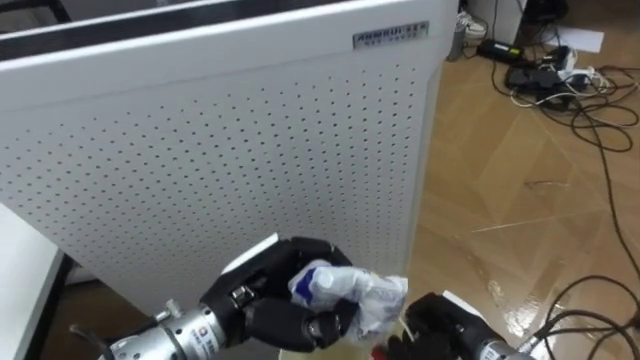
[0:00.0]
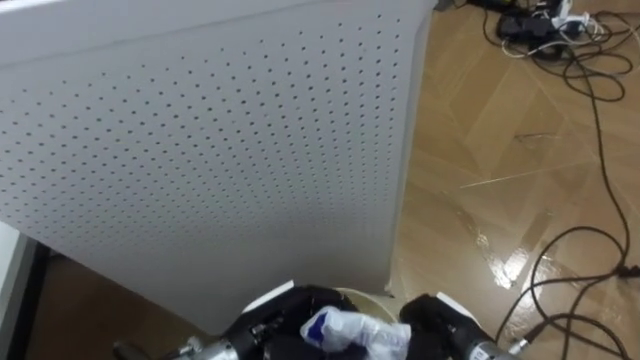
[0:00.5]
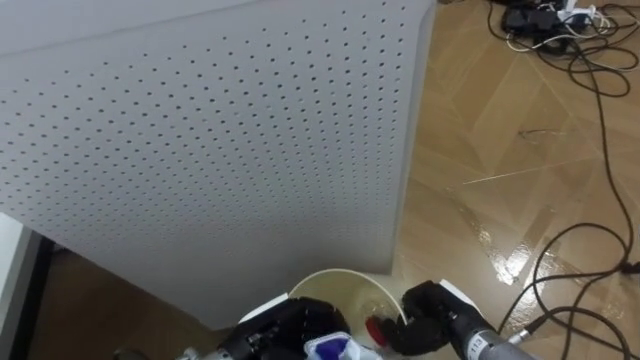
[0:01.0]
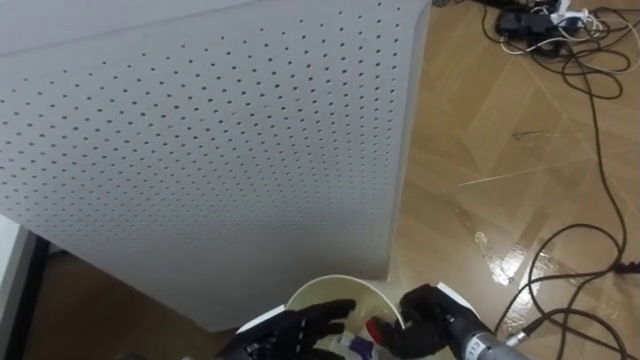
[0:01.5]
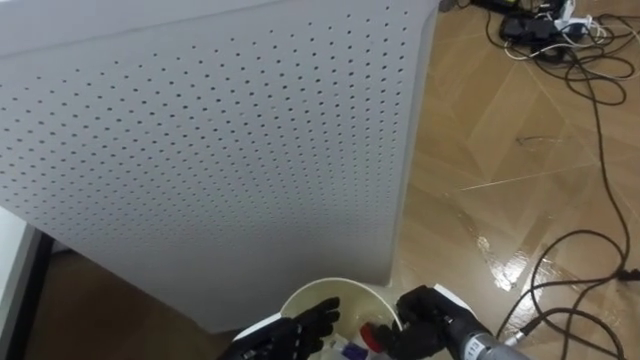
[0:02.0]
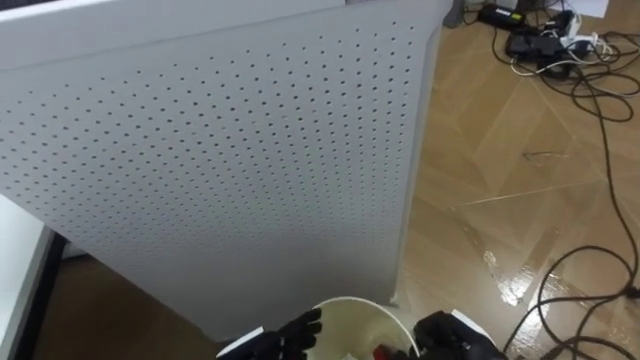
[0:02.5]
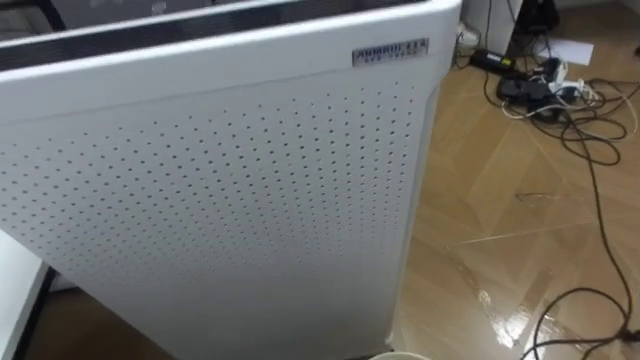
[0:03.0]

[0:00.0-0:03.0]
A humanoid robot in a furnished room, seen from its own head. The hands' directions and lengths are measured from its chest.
Task of the whole recording: Pick up the light blue package, the candy box, and the dark blue package separately, and put them into the trash can held in your right hand.
0:00.0 to 0:01.5: The left hand goes about 10 cm downward, and opens its fingers.

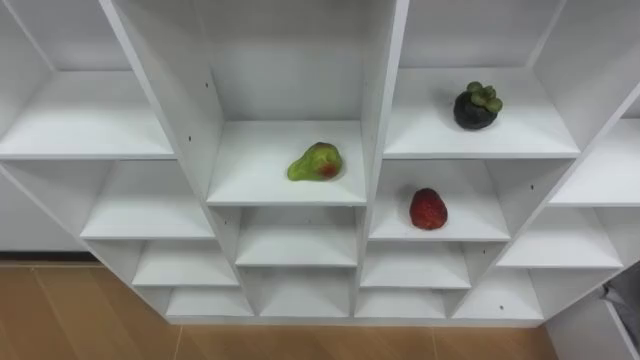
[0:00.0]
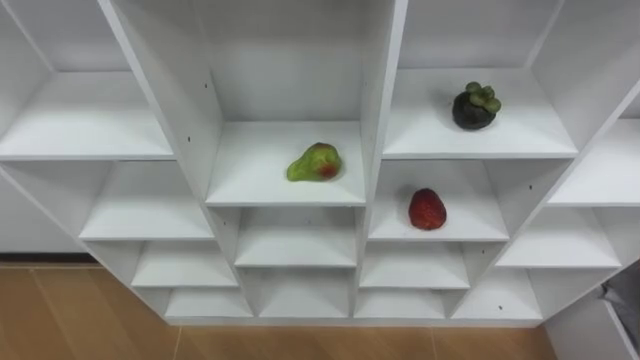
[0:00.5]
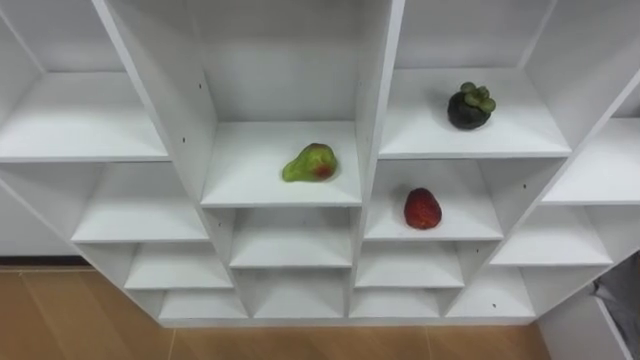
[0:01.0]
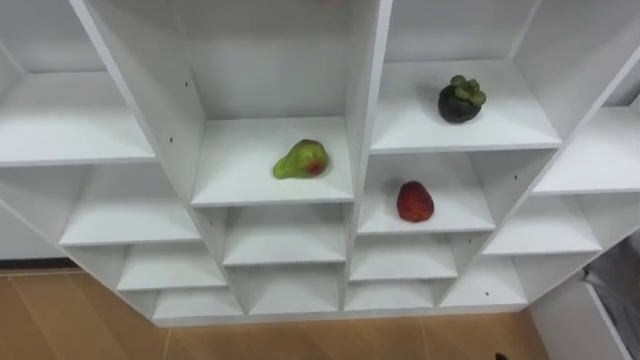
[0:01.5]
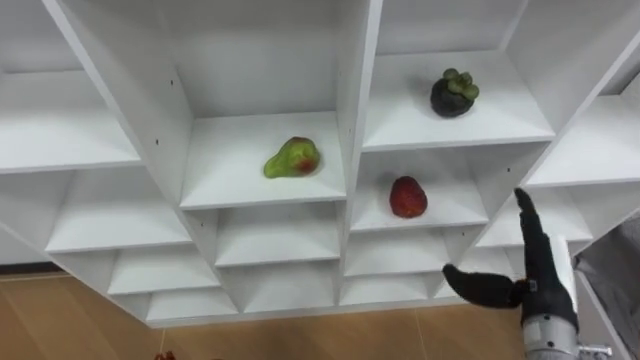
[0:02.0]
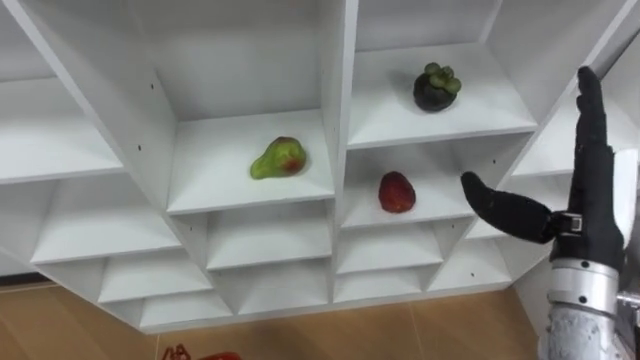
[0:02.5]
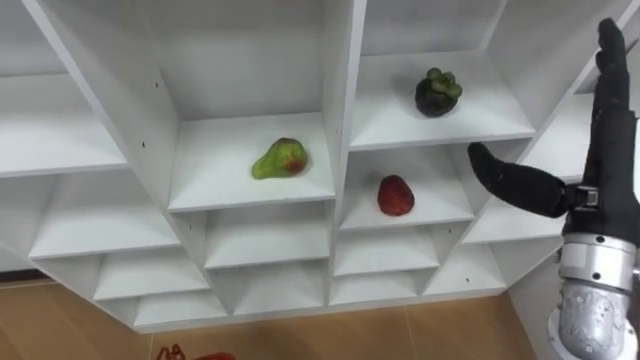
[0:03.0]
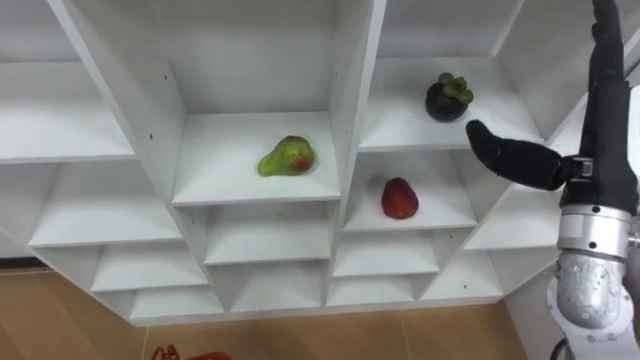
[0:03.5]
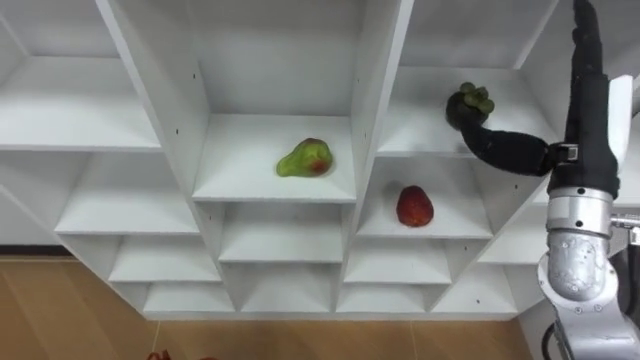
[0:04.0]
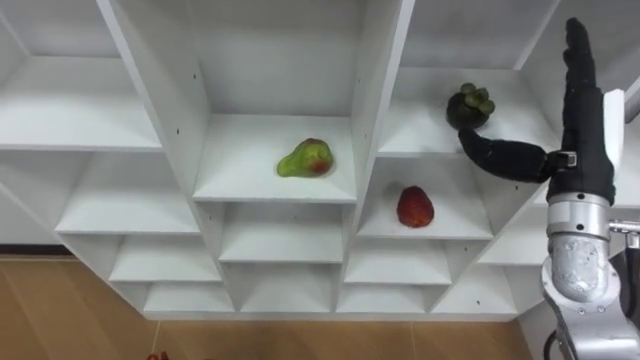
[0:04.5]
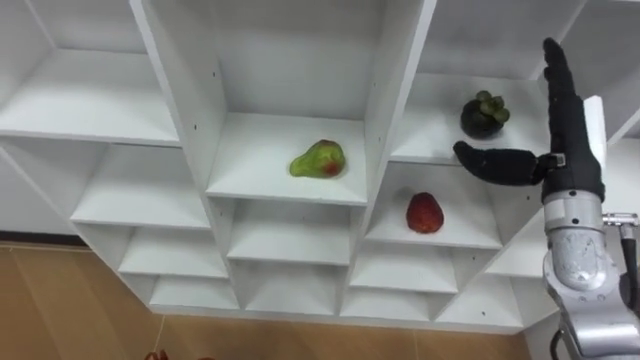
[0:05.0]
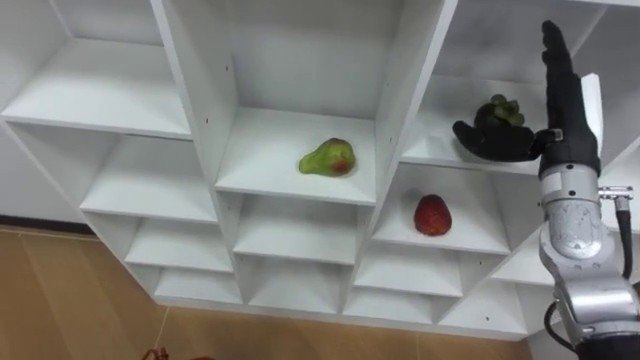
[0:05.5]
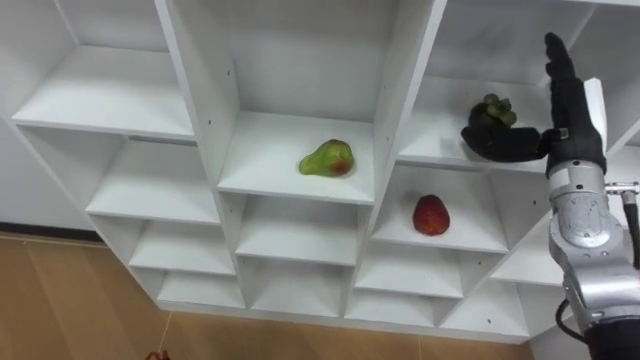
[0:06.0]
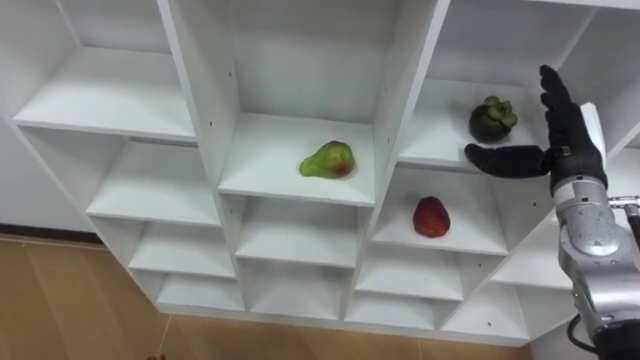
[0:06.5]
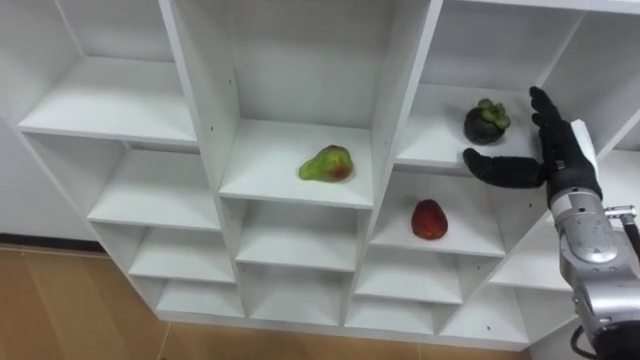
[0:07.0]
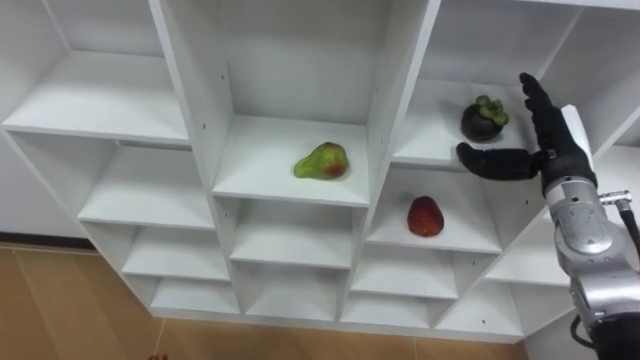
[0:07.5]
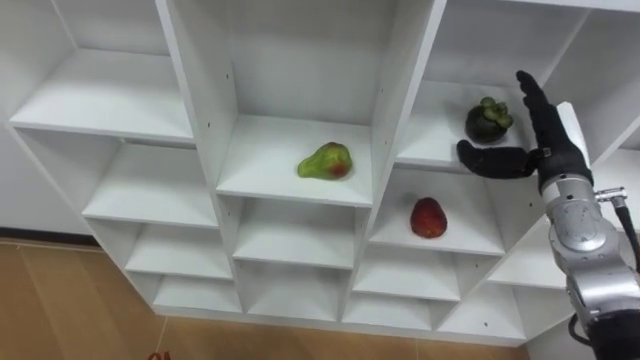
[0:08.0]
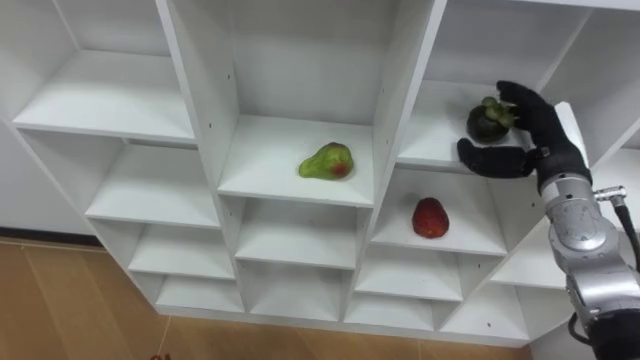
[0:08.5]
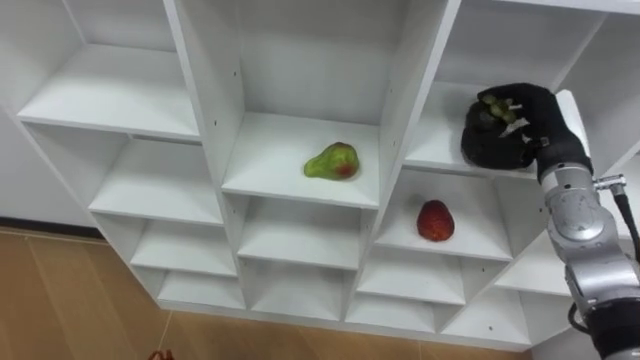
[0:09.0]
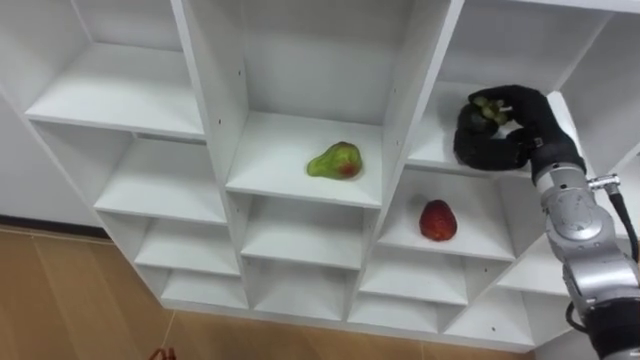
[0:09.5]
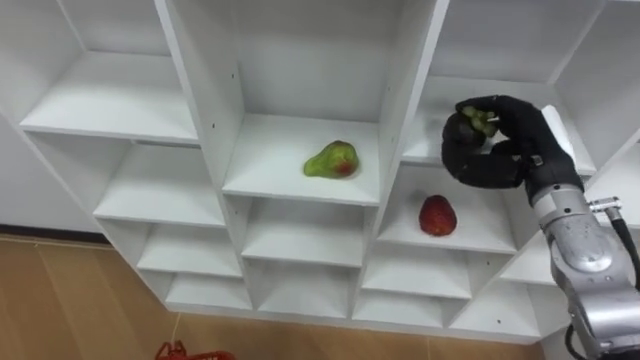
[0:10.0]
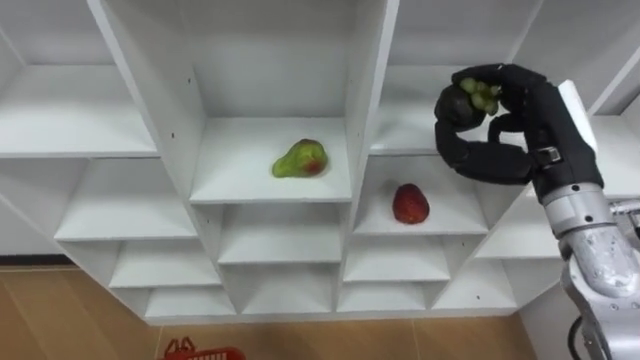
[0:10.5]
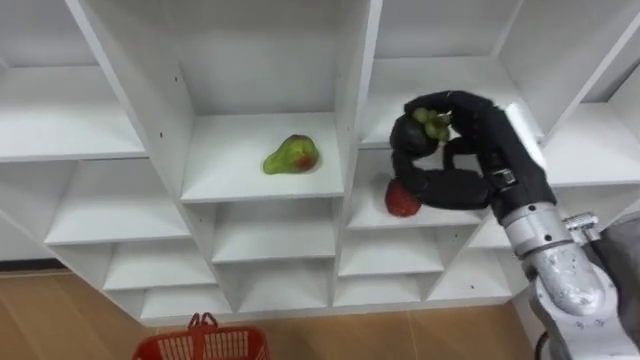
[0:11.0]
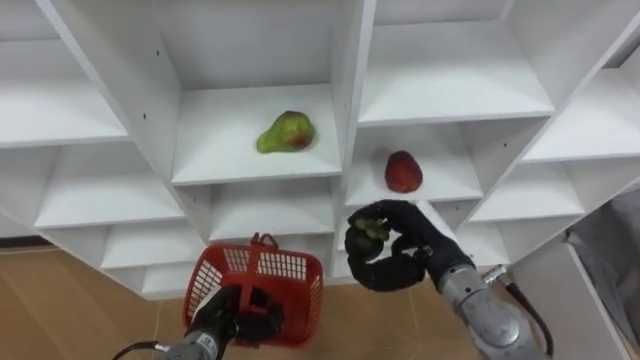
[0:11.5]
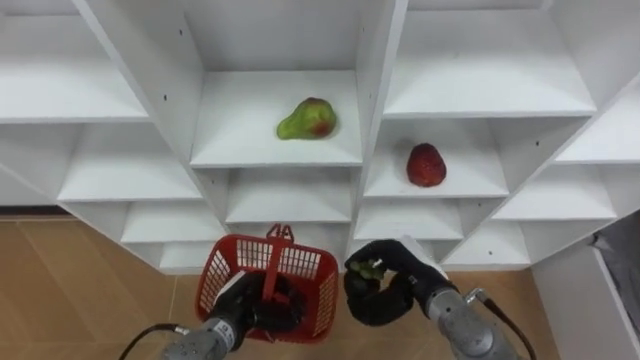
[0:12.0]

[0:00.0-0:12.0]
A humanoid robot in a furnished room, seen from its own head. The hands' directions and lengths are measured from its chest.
Task of the whole recording: Hold the basket and collect the fruits from 3 different cells of the closet into it.
0:02.0 to 0:04.0: The right hand shifts some 20 cm upward and forward.
0:04.0 to 0:06.0: The right hand shifts approximately 5 cm forward.
0:08.0 to 0:10.0: The right hand closes its fingers.
0:10.0 to 0:12.0: The right hand goes approximately 20 cm downward, to the left and backward.

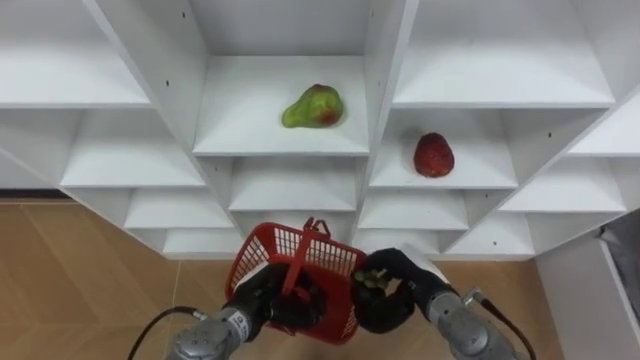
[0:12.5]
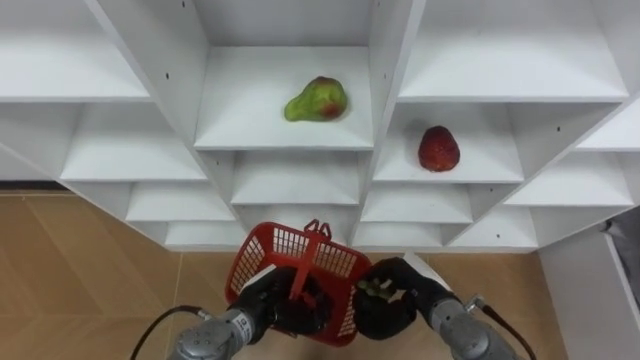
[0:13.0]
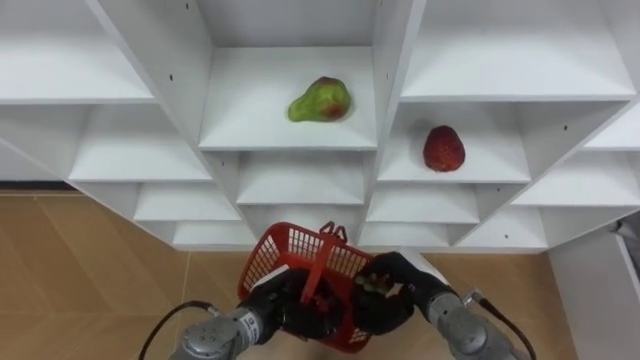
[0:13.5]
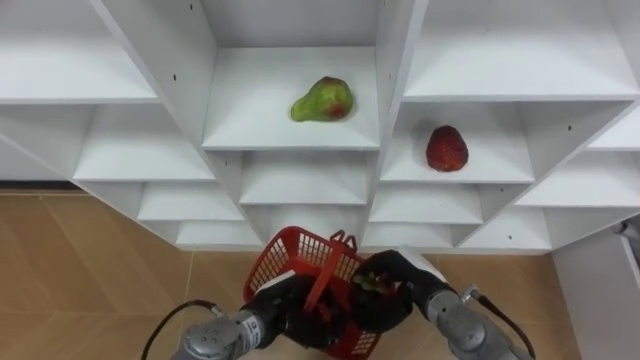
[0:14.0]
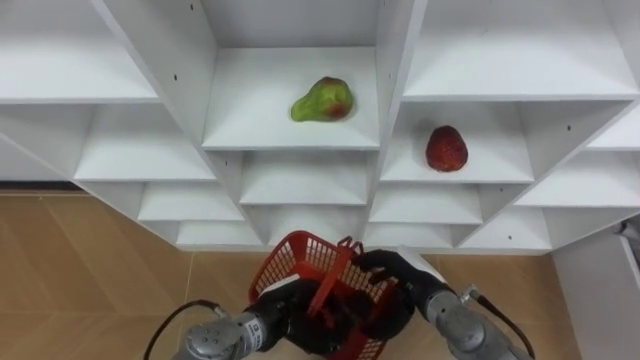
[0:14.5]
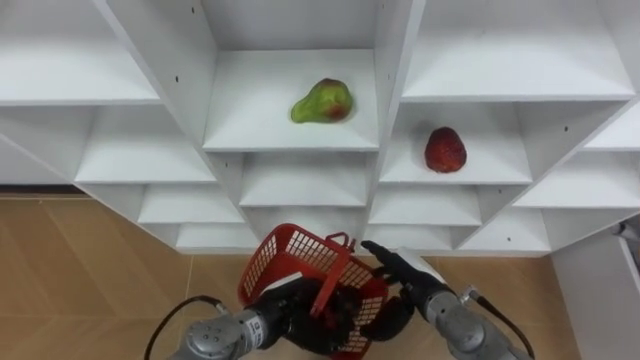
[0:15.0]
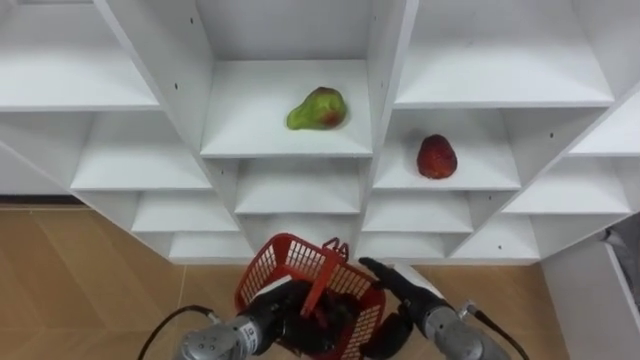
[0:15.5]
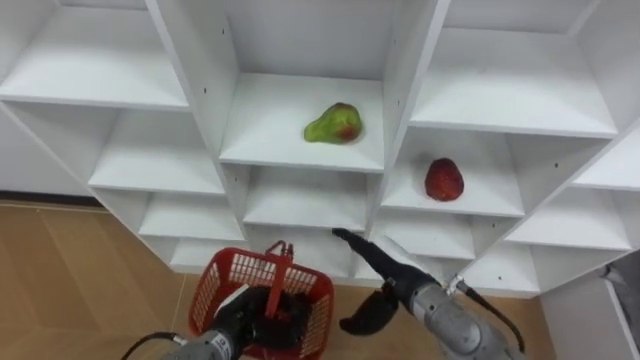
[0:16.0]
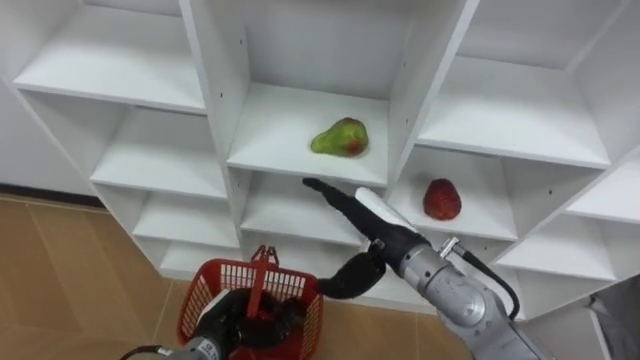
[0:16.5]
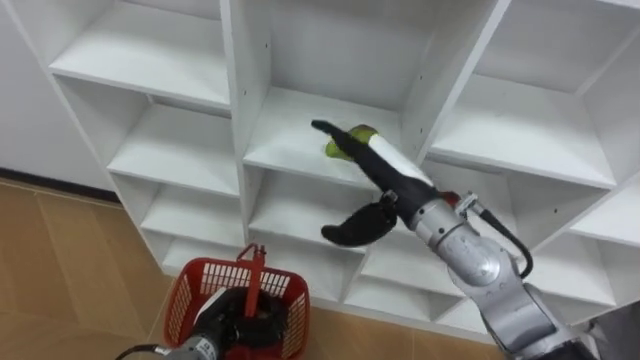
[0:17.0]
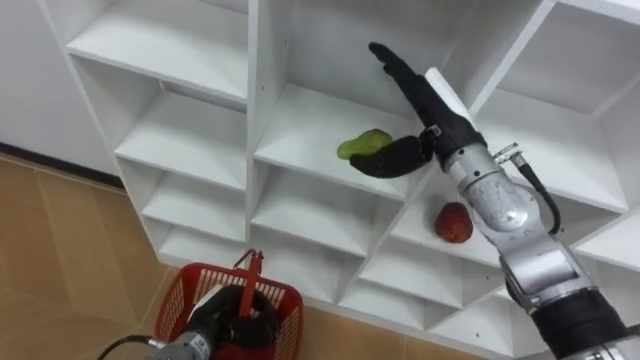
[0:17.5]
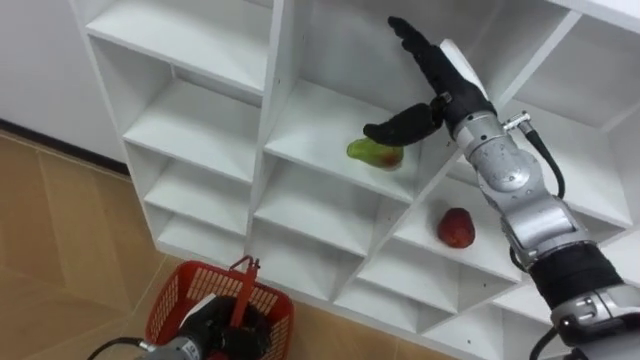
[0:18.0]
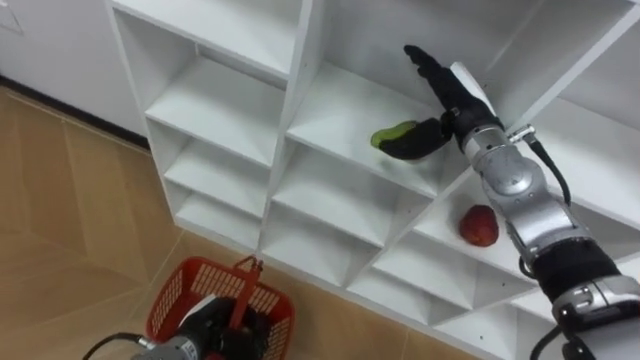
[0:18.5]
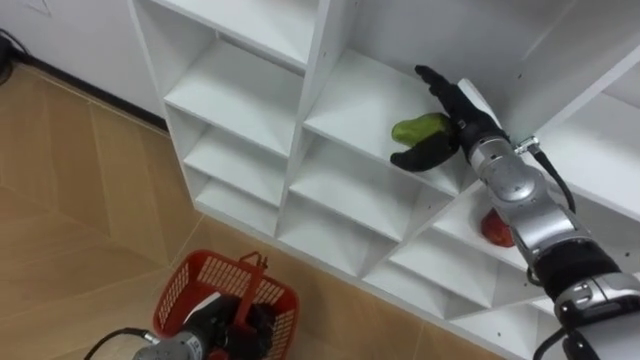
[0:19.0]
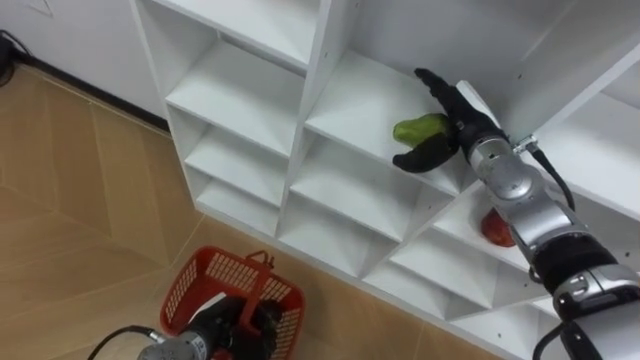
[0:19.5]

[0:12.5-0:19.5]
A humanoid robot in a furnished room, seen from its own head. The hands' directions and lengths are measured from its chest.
Task of the whole recording: Hold the basket and collect the fruits from 3 different cells of the closet into it.
0:14.5 to 0:16.0: The left hand shifts roughly 5 cm to the left.
0:16.0 to 0:17.5: The right hand travels upward and forward by approximately 20 cm.
0:17.5 to 0:19.5: The right hand heads downward and to the right, covering approximately 10 cm.
